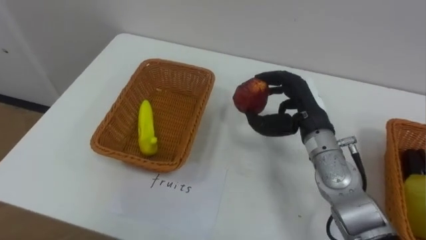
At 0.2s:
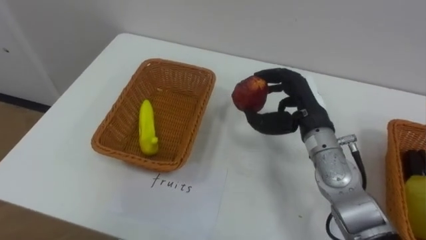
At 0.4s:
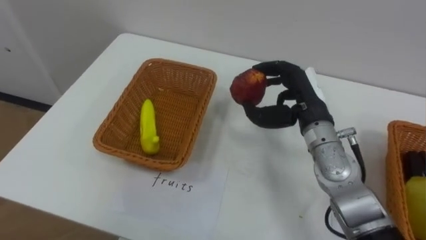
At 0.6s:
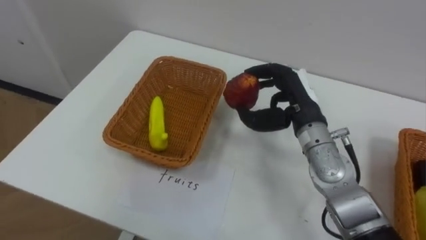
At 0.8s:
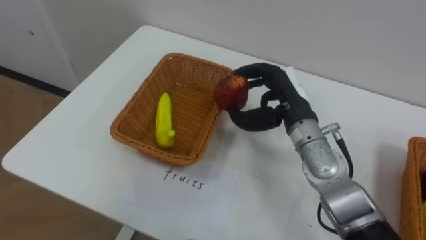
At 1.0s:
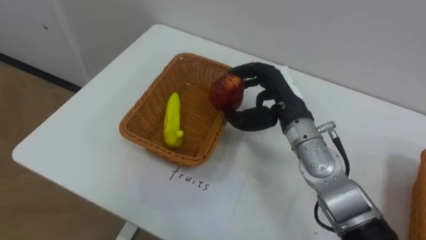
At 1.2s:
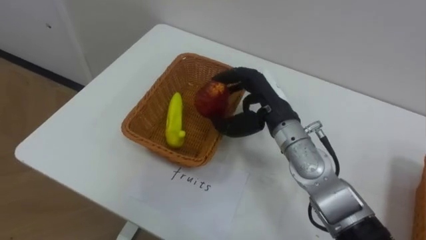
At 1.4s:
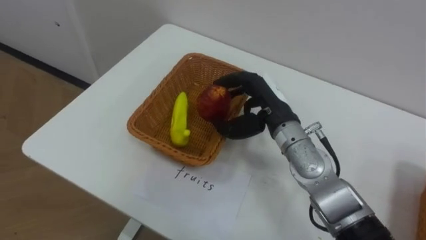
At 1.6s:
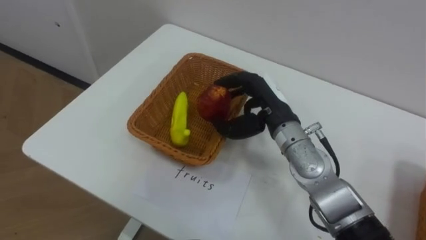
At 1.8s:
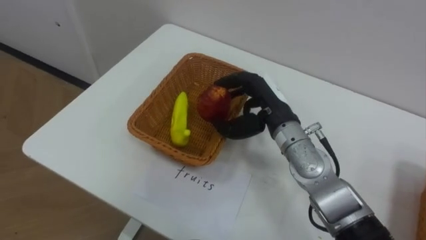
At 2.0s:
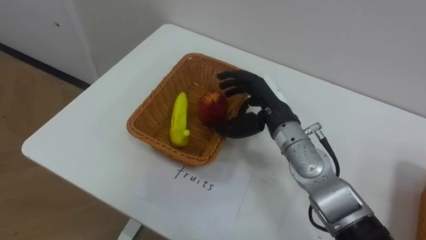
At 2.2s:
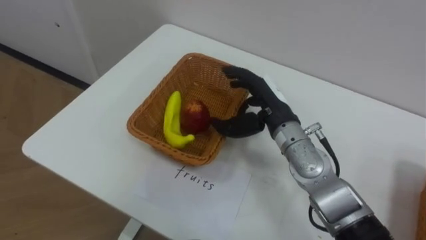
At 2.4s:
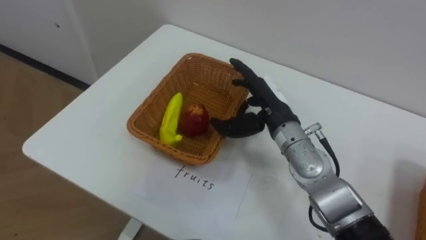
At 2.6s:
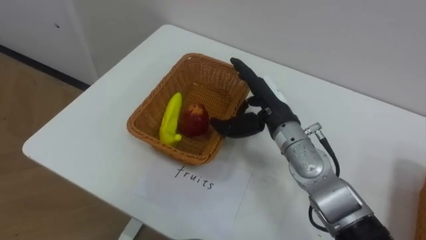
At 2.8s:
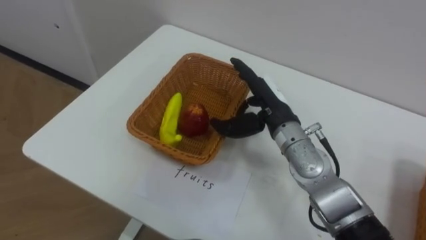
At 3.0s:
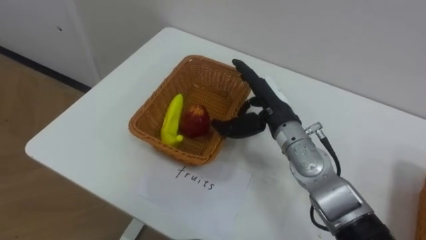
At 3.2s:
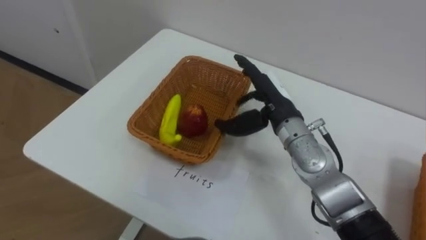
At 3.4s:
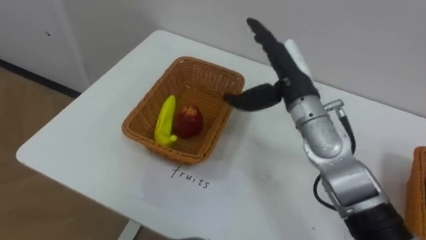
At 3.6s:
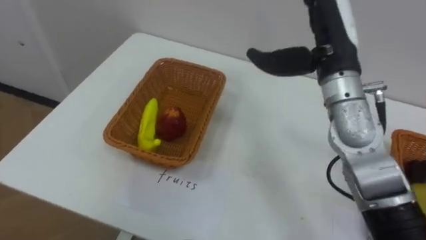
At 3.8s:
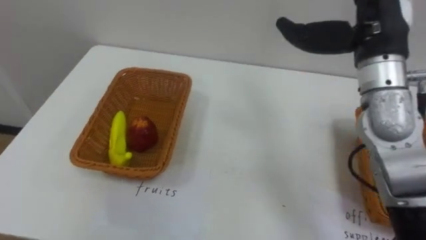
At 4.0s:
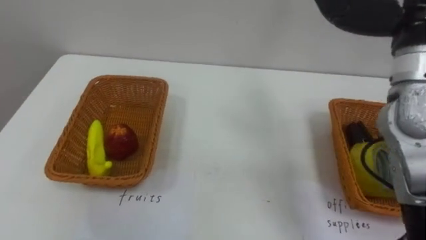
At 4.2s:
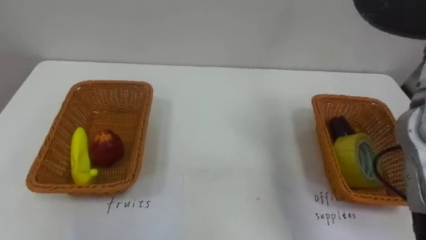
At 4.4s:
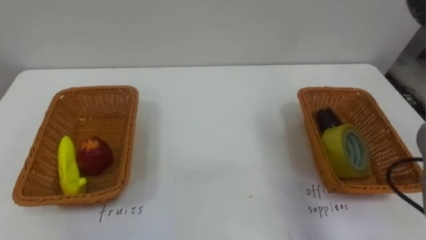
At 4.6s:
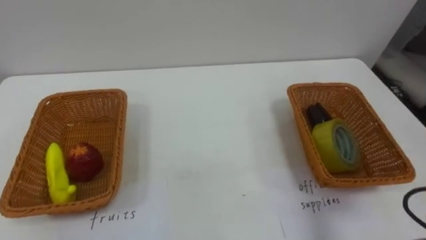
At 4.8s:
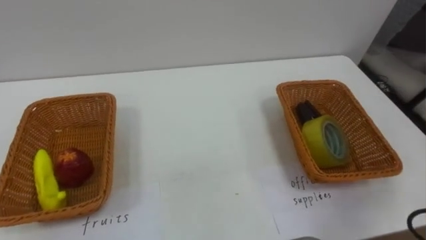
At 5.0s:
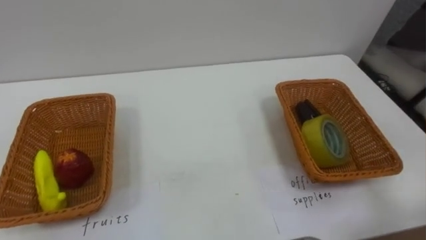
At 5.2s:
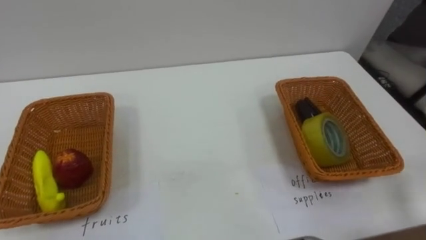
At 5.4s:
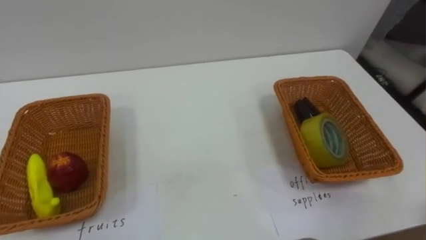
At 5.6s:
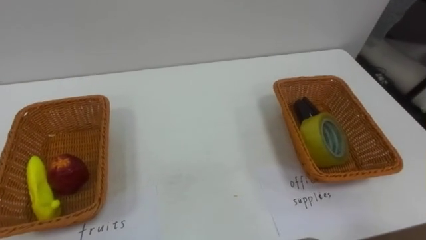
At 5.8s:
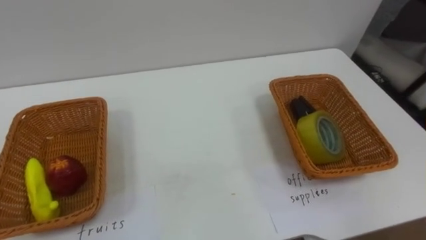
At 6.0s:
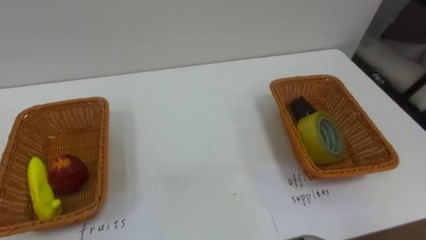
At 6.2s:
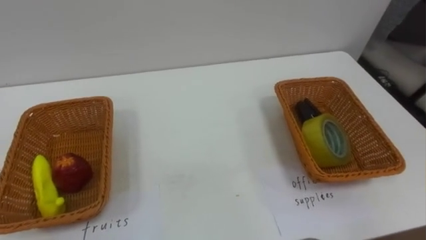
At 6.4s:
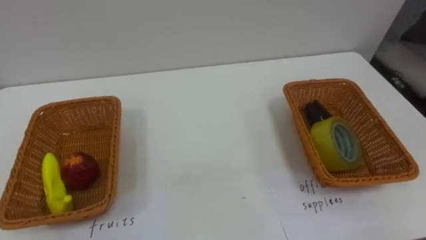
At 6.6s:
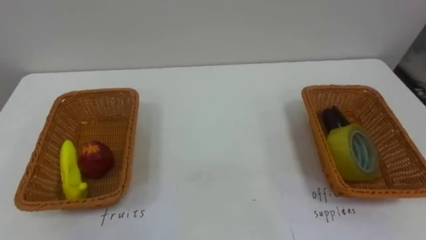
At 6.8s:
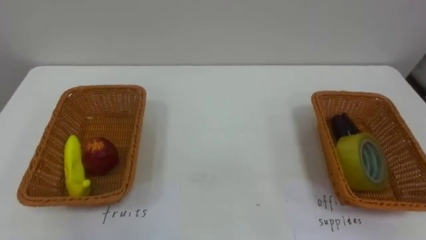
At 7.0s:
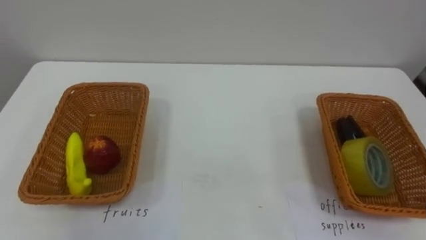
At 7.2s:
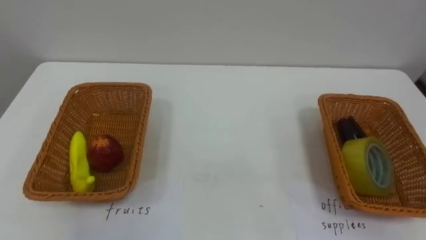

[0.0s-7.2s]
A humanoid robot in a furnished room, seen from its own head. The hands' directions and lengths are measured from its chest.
Task of the whole recording: Separate the items on the table and place them into the two baskets.
0.0s to 1.4s: The right hand shifts about 5 cm to the left.
1.4s to 2.8s: The right hand opens.

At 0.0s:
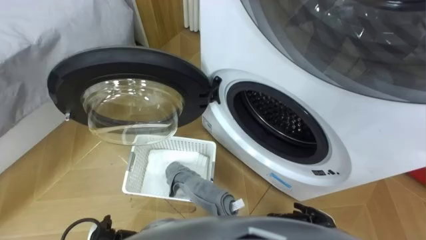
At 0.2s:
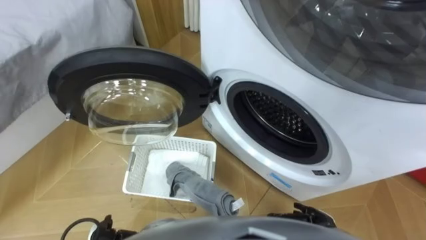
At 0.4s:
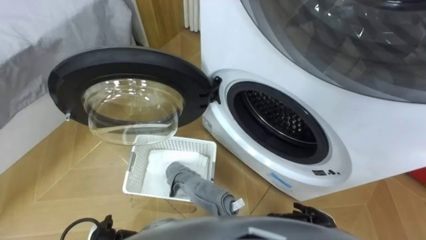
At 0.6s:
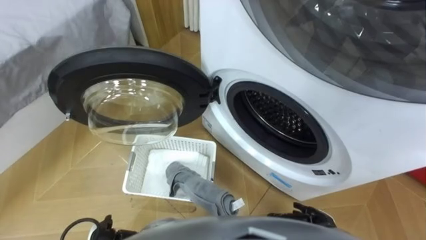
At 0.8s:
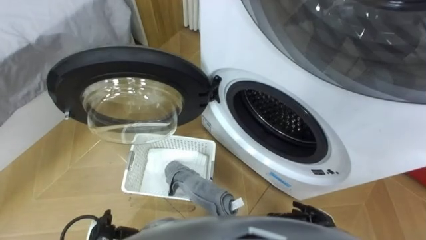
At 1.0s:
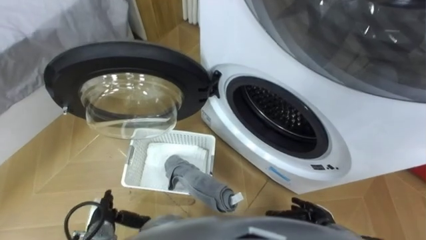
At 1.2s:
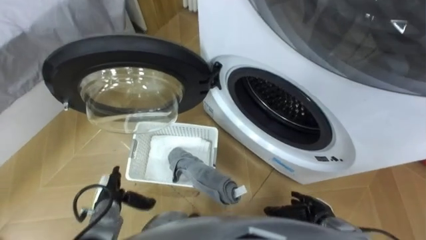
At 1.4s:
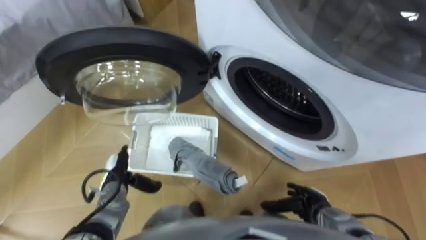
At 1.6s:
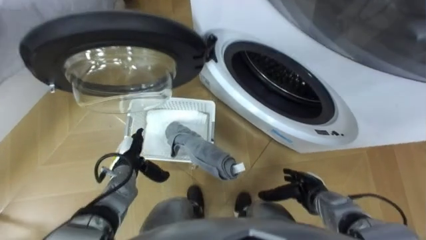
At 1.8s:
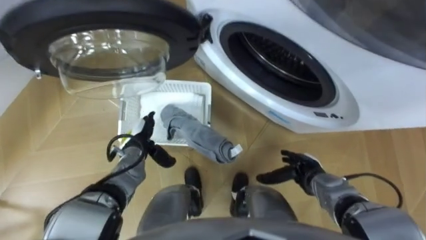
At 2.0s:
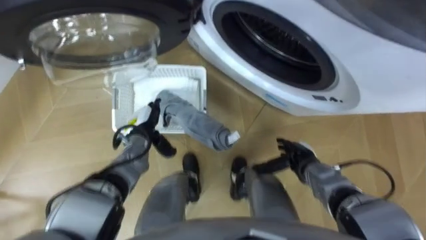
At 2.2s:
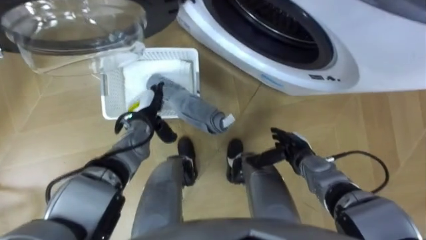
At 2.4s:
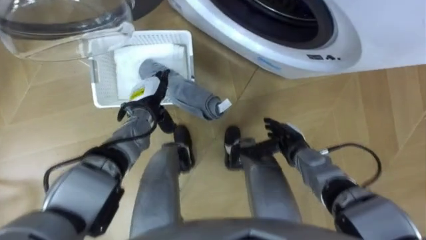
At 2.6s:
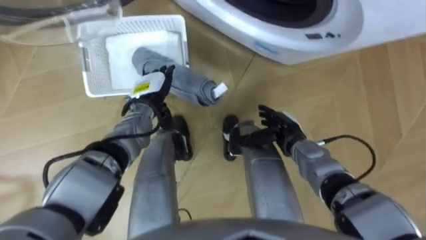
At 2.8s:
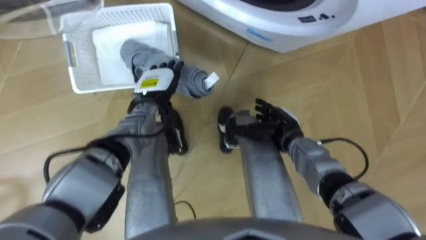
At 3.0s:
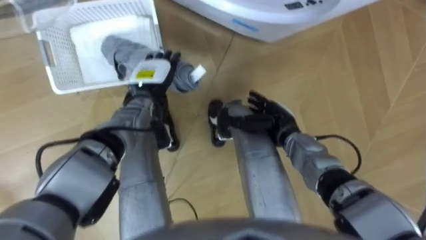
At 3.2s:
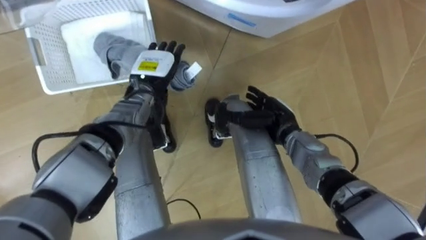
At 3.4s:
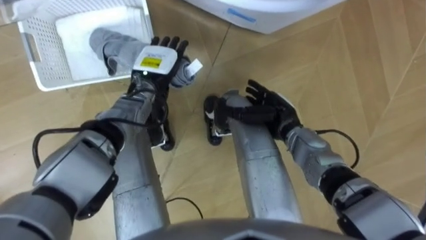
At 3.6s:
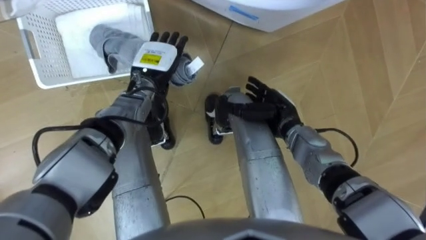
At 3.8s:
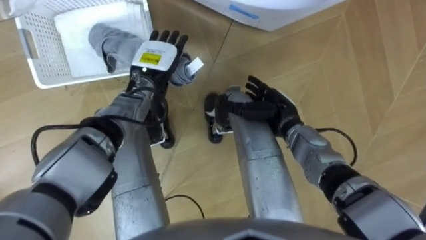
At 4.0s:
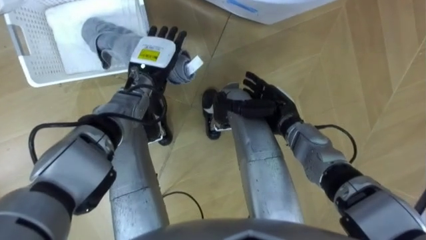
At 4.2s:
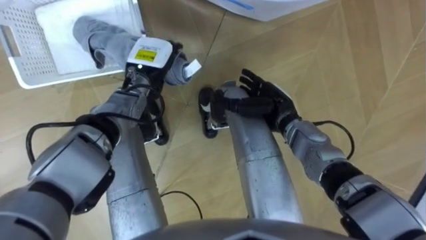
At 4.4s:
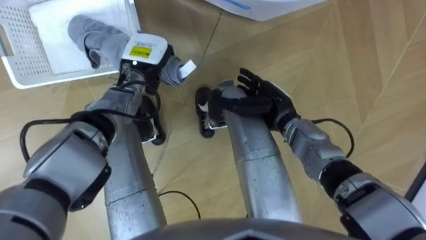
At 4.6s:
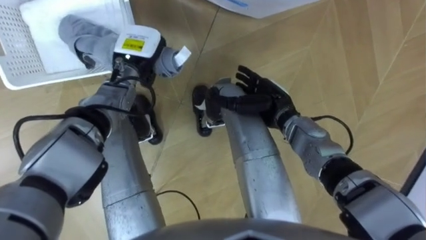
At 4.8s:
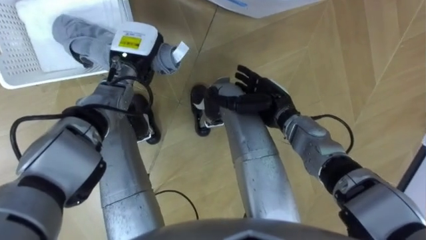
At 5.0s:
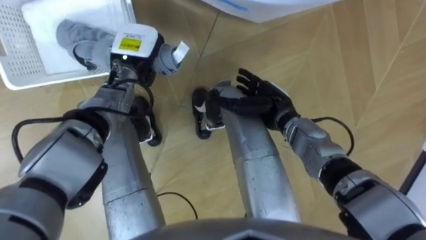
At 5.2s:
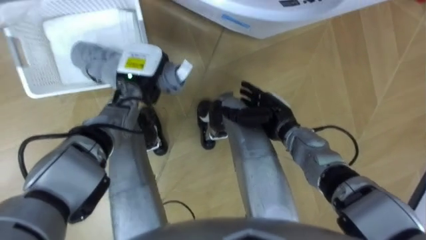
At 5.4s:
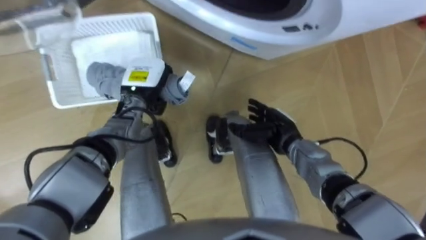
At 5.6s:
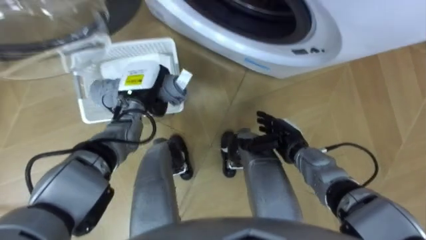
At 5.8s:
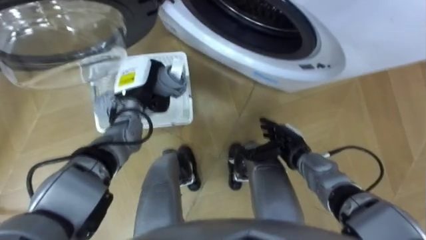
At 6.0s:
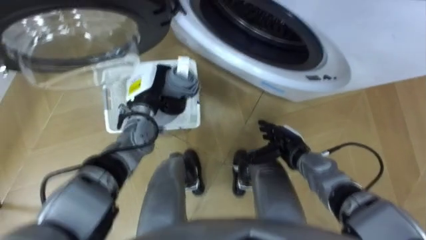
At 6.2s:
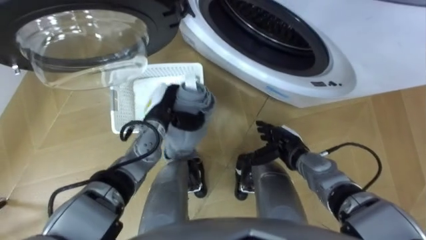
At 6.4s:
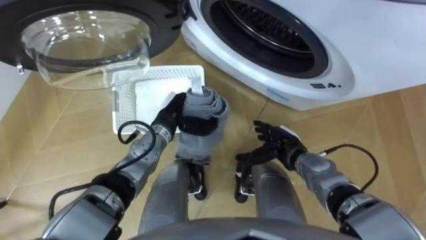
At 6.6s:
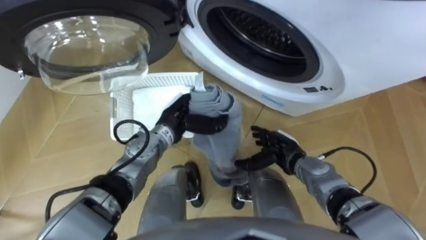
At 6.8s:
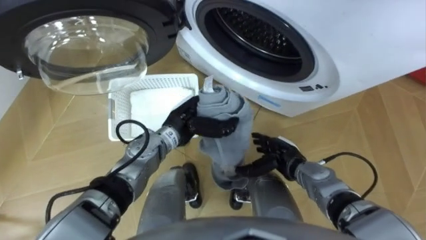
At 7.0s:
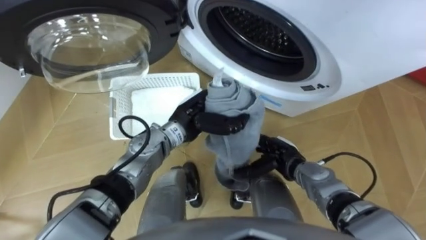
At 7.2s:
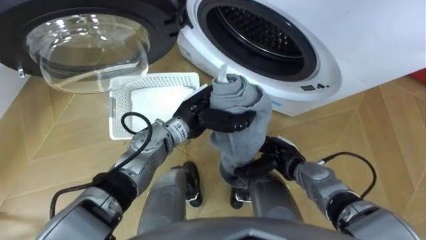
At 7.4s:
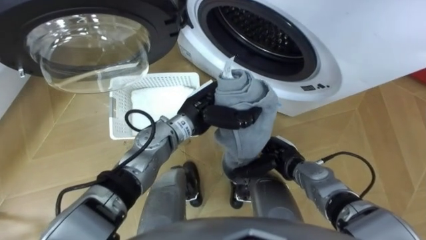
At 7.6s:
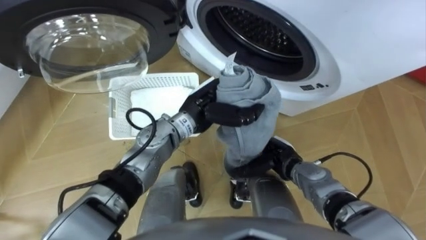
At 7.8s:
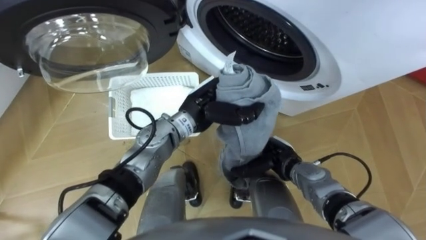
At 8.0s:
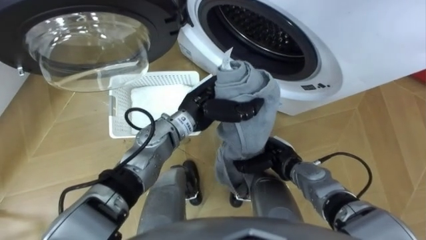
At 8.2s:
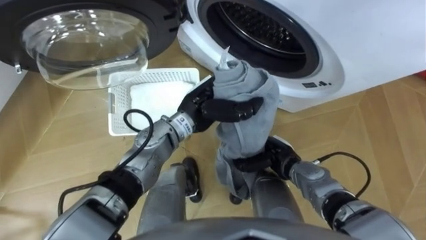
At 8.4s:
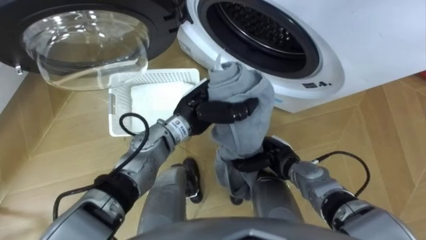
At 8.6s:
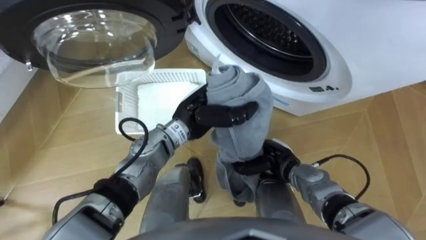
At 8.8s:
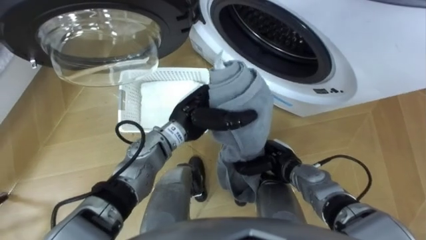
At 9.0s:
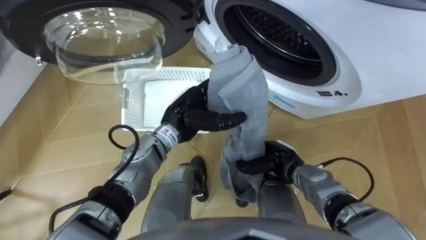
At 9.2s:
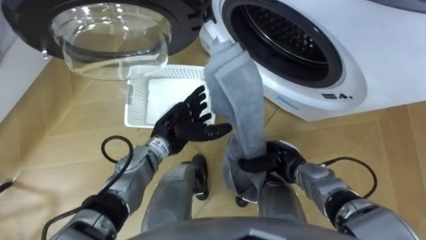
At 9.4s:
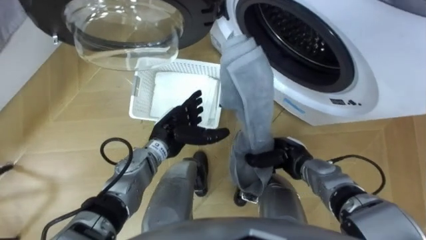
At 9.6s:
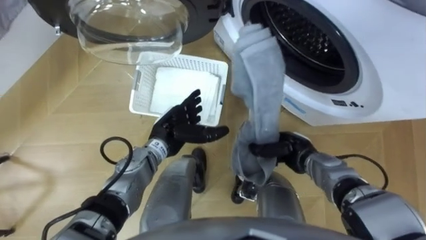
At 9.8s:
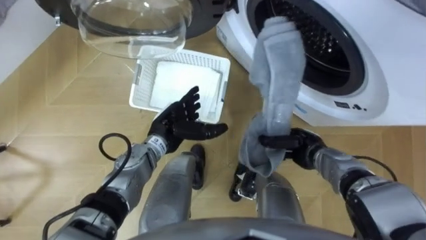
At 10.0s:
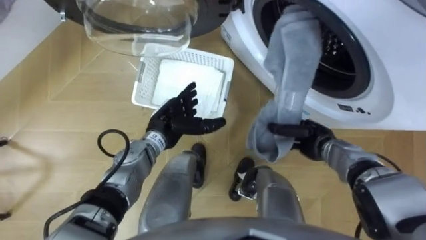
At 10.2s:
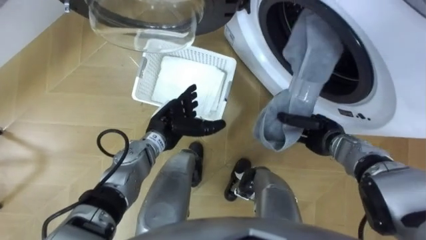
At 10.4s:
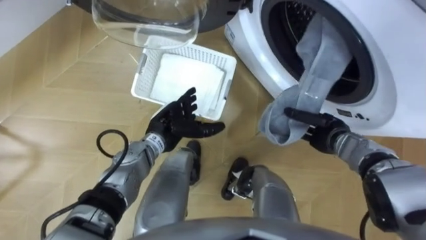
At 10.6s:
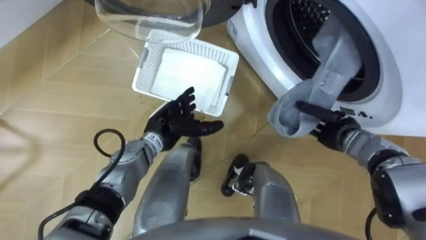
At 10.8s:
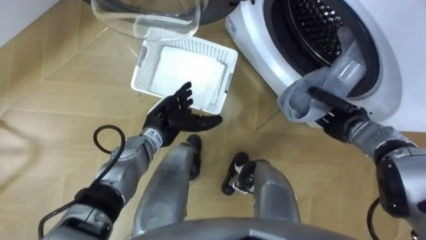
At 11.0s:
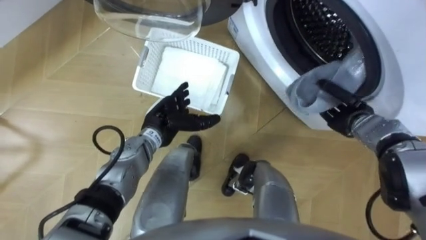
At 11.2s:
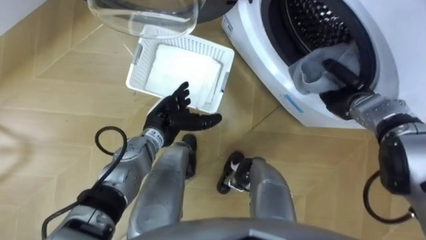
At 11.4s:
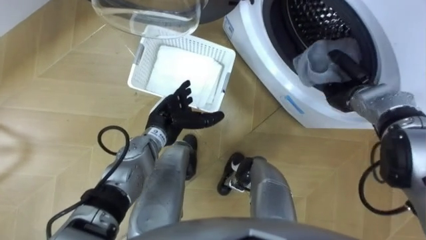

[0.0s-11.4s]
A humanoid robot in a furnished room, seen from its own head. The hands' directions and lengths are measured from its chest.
Task of the whole recording: Take the towel from the basket and put it into the washing machine.
1.4s to 2.8s: The right hand shifts about 20 cm forward, upward and to the left, while the left hand travels forward, upward and to the right by some 25 cm.
2.8s to 4.2s: The two hands go approximately 5 cm upward.
4.2s to 5.6s: The left hand ends up roughly 5 cm from where it was, and closes its fingers. Meanwhile the right hand heads downward and backward, covering approximately 10 cm.
5.6s to 7.2s: The left hand heads to the right and backward, covering some 15 cm.
7.2s to 8.6s: The right hand closes.
8.6s to 10.0s: The left hand goes approximately 10 cm to the left and downward, and opens its fingers; the right hand moves to the right, roughly 10 cm.
10.0s to 11.4s: The right hand heads forward, upward and to the right, covering about 15 cm.
